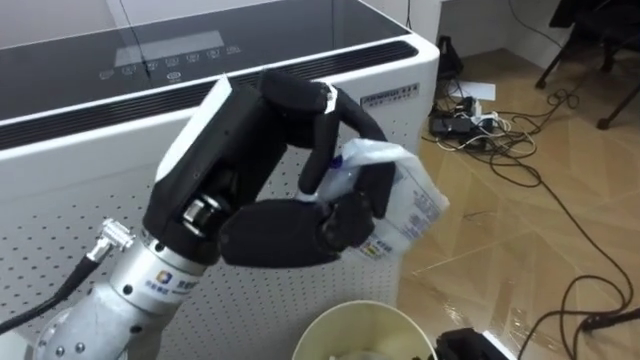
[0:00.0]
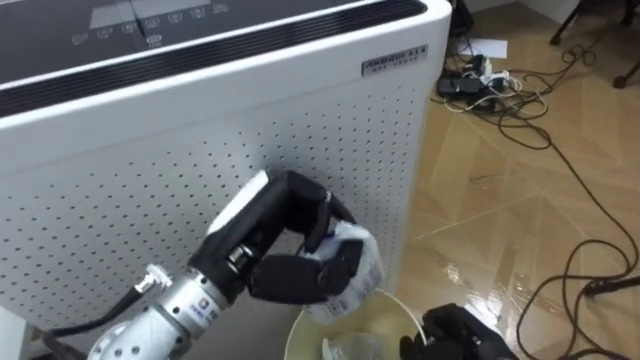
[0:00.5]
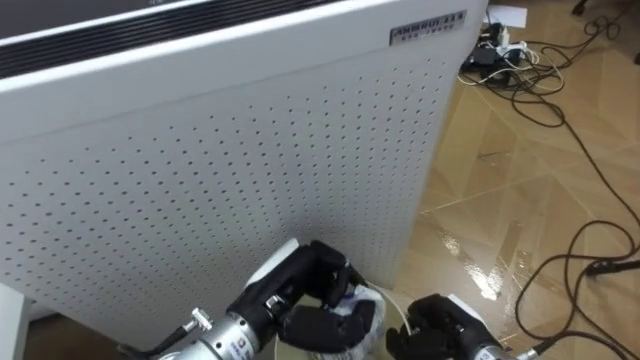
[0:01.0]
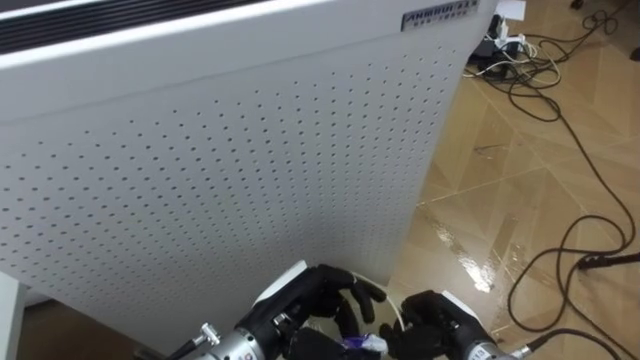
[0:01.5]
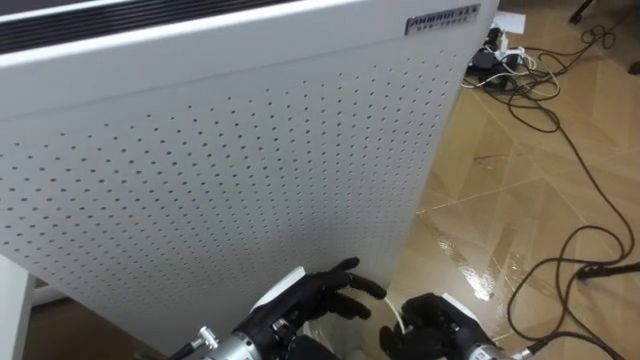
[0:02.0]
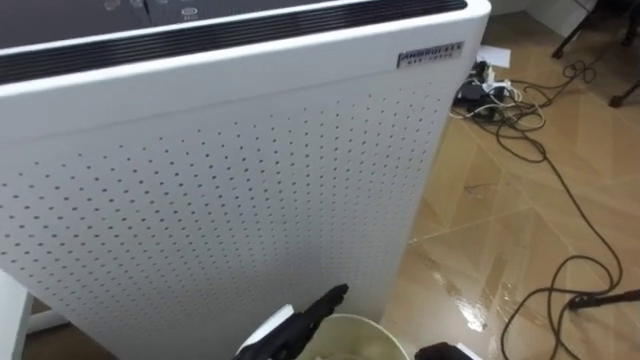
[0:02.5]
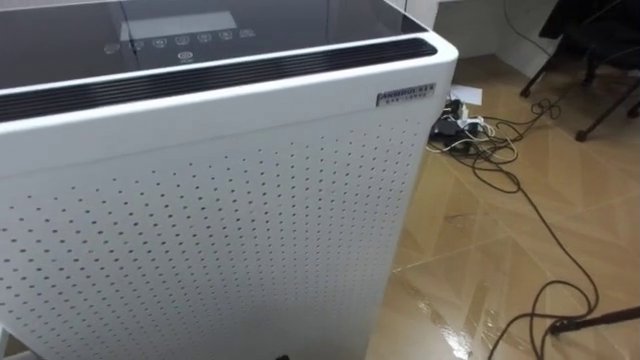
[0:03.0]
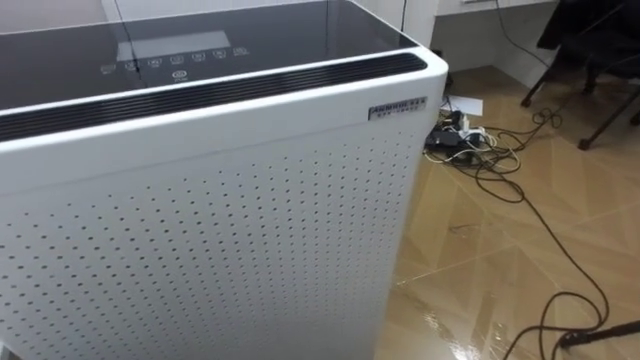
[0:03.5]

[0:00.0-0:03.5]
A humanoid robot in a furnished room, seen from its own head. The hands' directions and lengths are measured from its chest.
Task of the whole recording: Pick up the light blue package, the candy box, and the dark blue package separately, and put them into the trash can held in your right hand.
0:00.0 to 0:02.0: The left hand heads downward, covering roughly 25 cm, and opens.

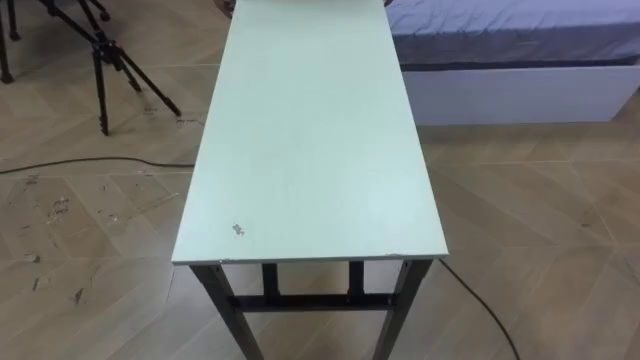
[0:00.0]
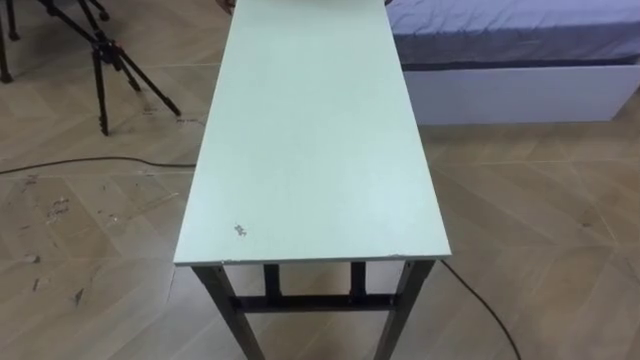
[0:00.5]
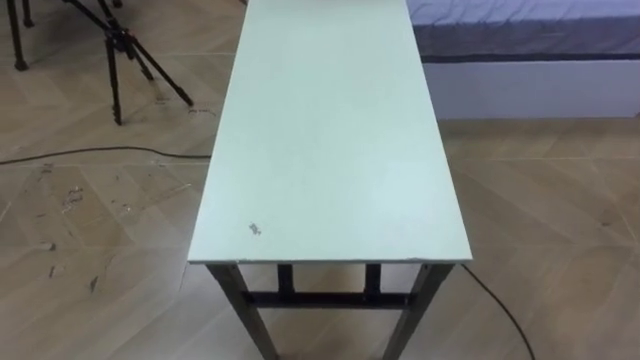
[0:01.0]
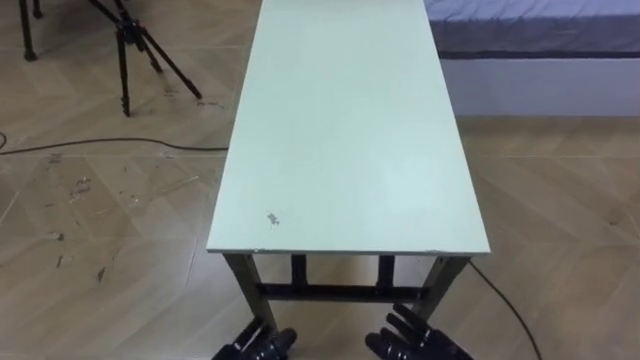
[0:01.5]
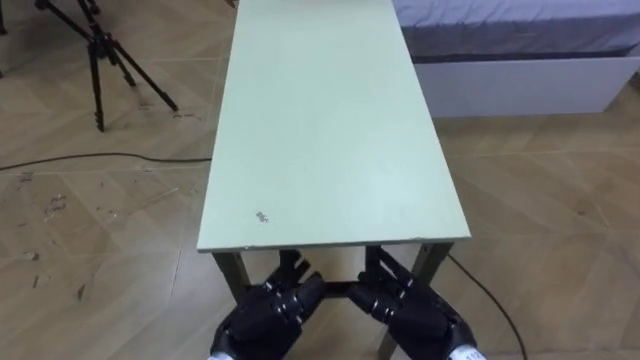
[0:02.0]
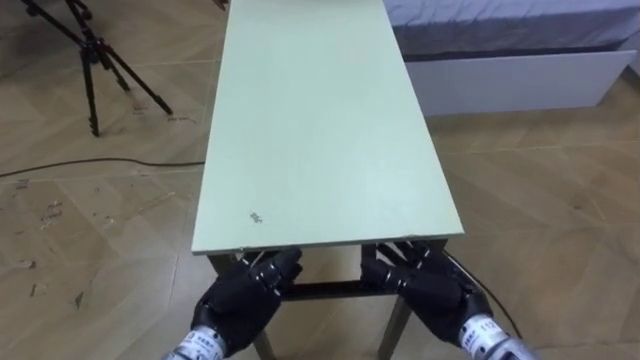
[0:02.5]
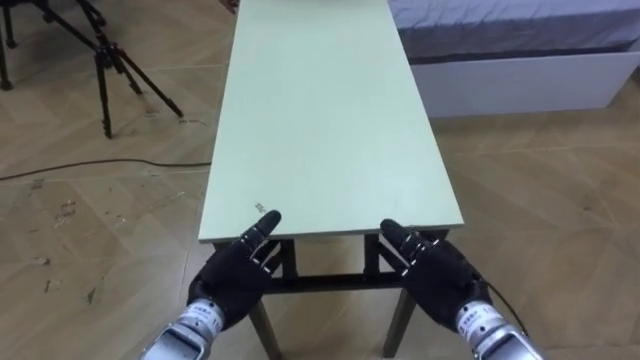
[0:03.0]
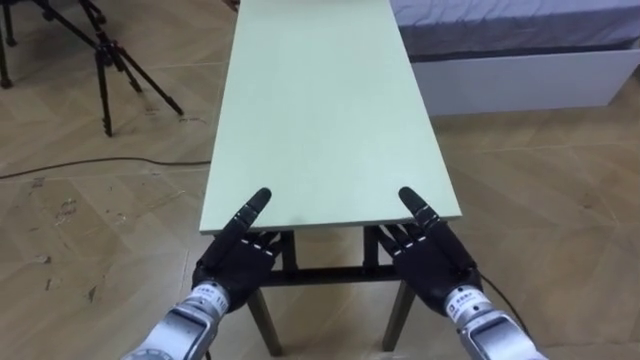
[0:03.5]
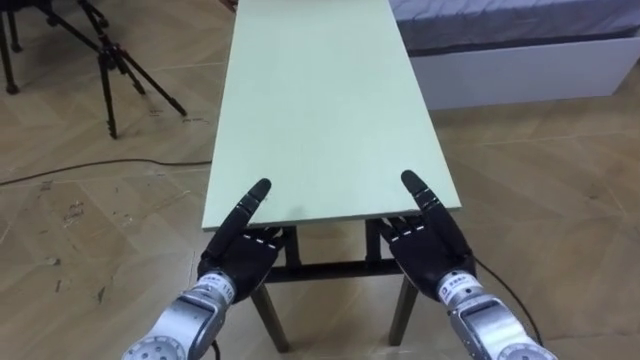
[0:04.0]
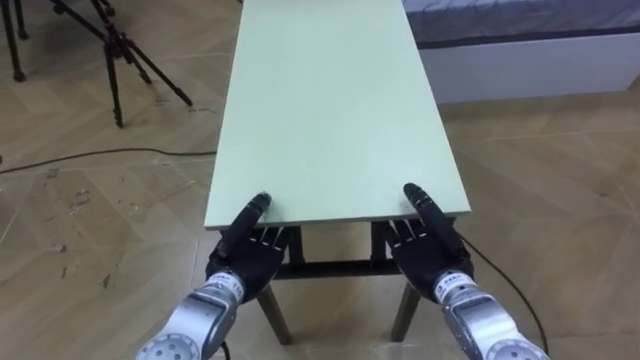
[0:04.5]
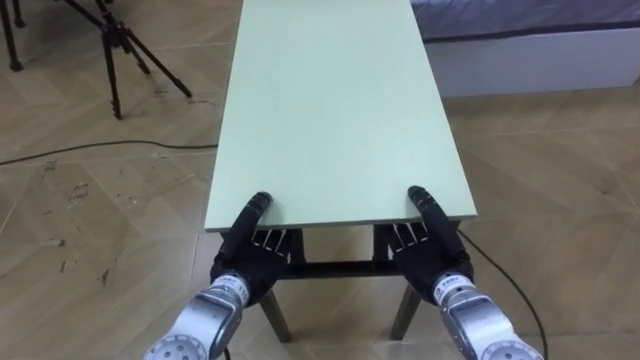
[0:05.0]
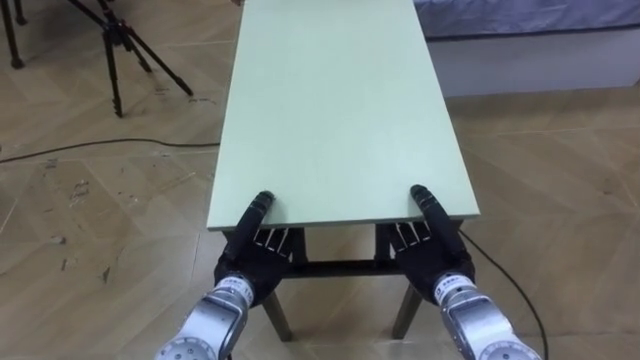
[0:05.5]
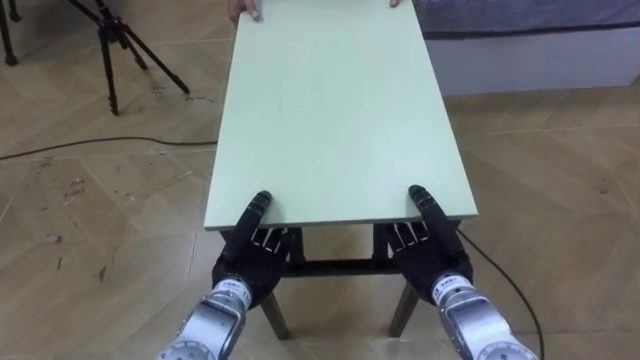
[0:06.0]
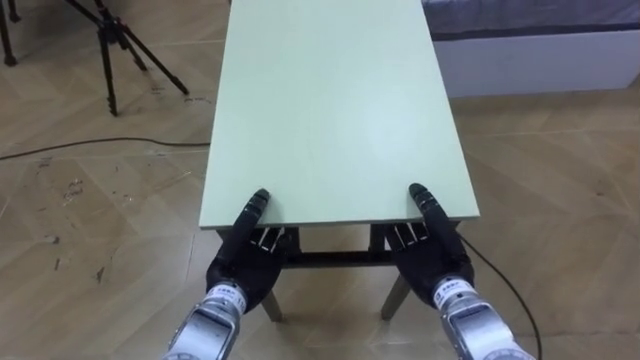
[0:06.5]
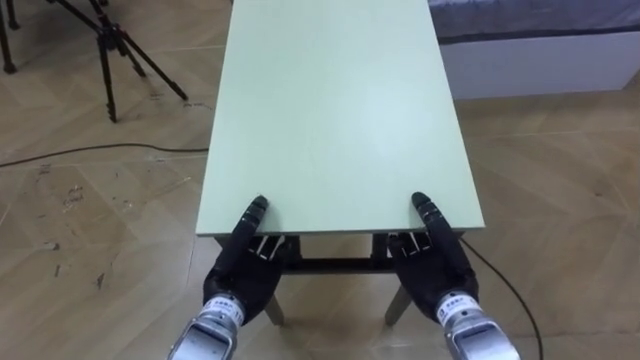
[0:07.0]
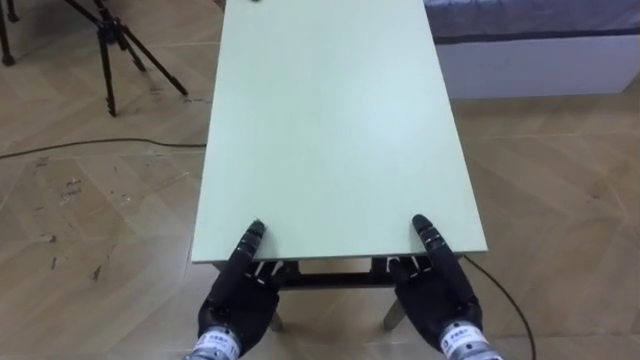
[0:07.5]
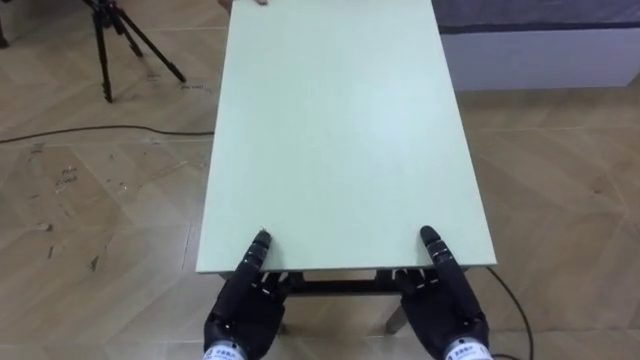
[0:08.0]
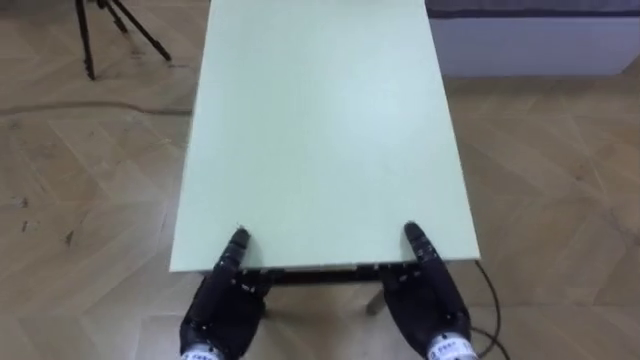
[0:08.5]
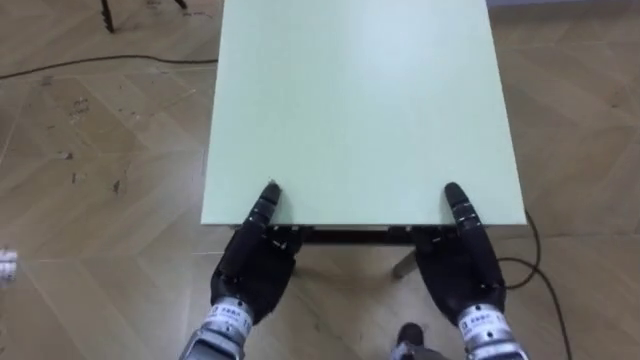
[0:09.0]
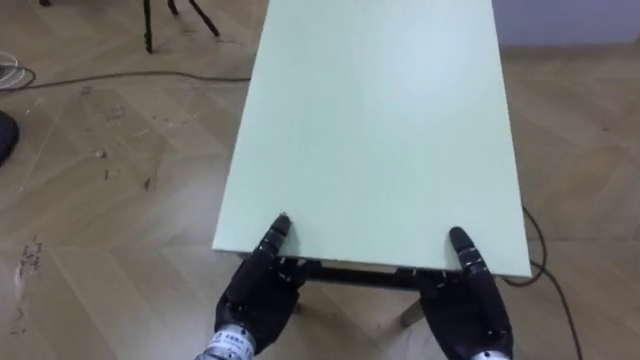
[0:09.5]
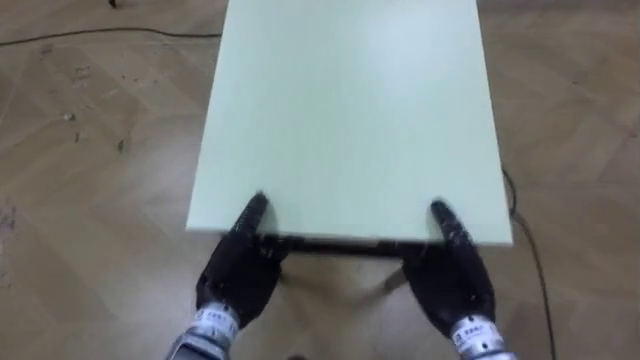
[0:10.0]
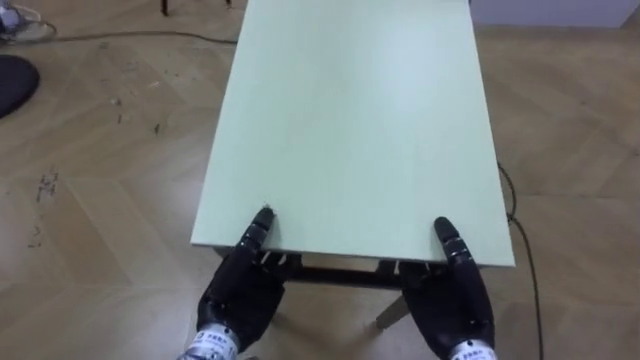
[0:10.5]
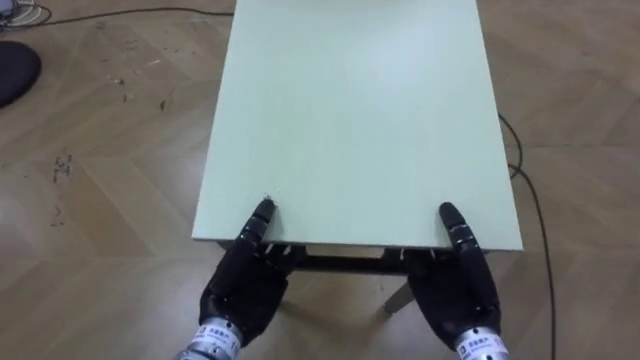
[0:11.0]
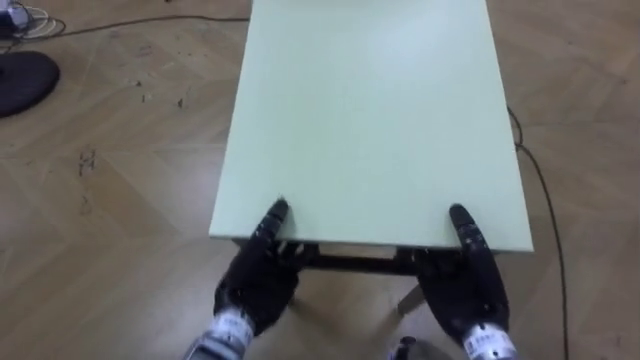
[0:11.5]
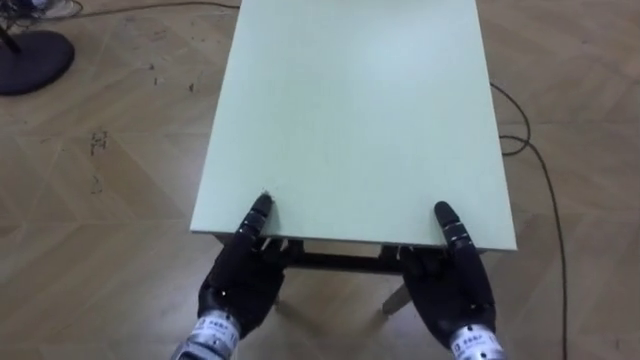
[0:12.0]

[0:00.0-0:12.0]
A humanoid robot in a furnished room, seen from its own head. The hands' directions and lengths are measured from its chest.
Task of the whole recording: Move the table to the back left with someone.
0:02.0 to 0:04.0: The hands both shift forward by approximately 10 cm.
0:04.0 to 0:06.0: The left hand closes. Meanwhile the right hand closes up.
0:06.0 to 0:08.0: The two hands go some 5 cm backward.

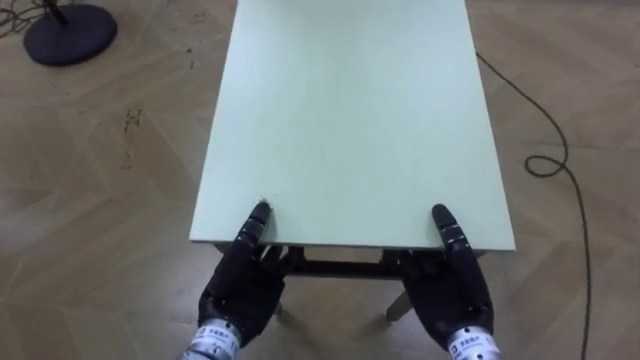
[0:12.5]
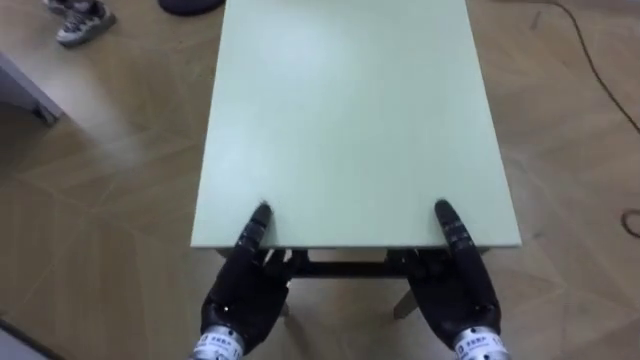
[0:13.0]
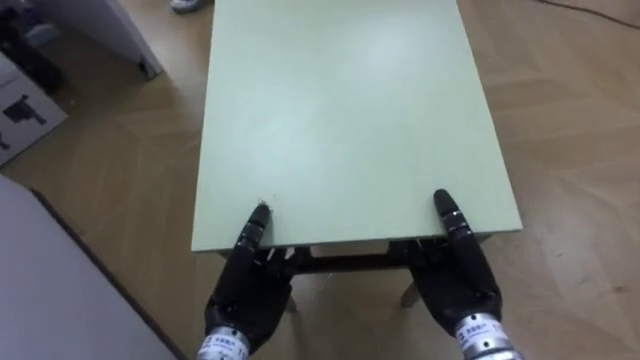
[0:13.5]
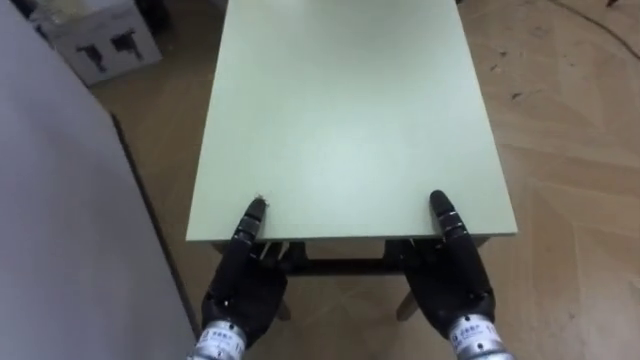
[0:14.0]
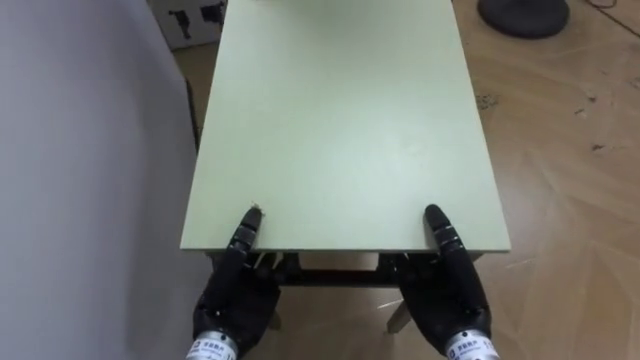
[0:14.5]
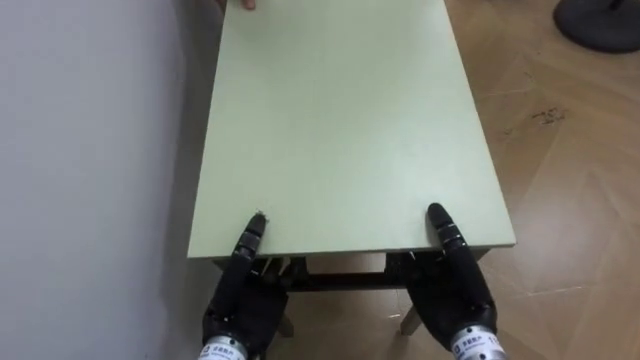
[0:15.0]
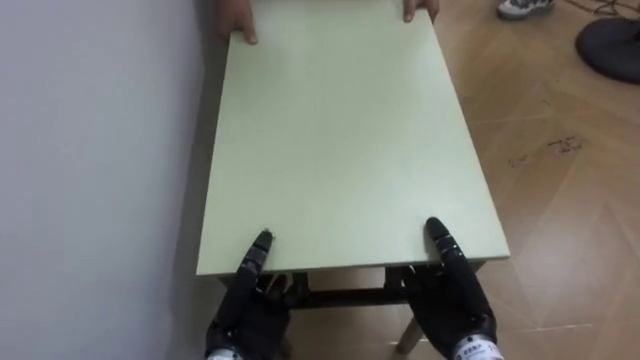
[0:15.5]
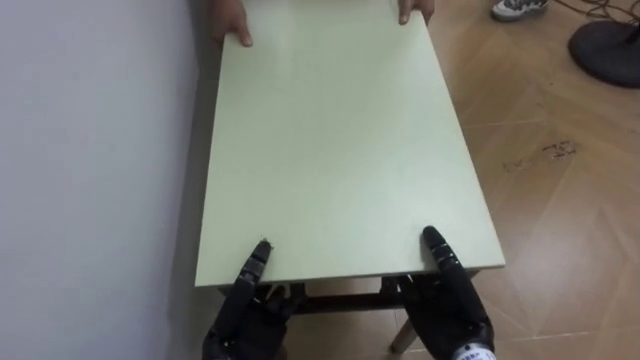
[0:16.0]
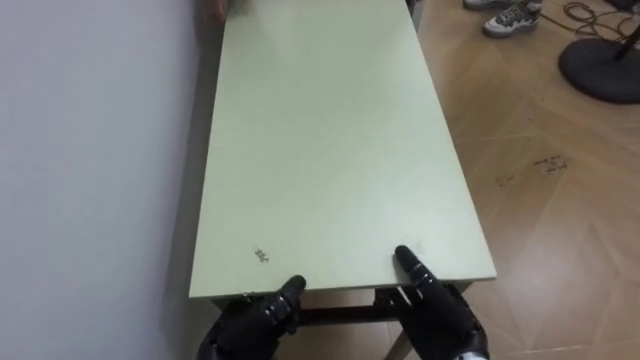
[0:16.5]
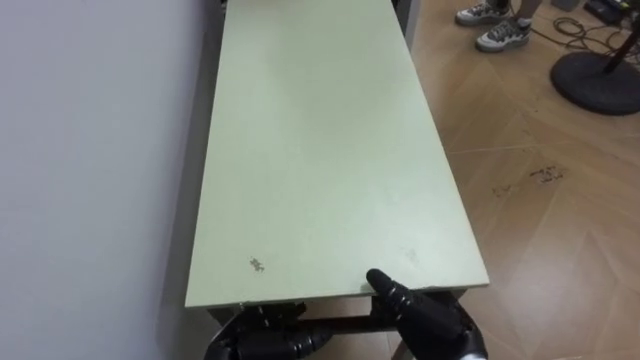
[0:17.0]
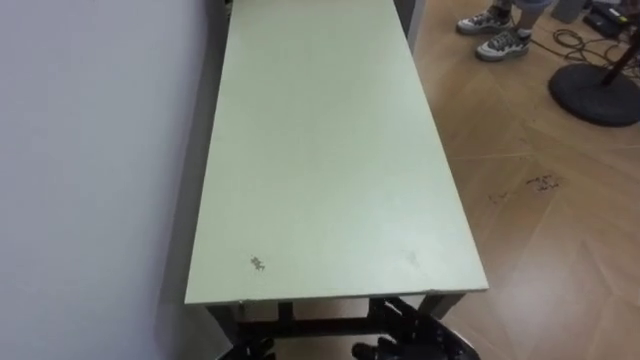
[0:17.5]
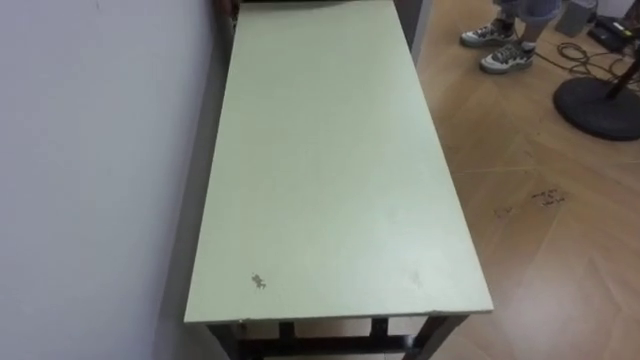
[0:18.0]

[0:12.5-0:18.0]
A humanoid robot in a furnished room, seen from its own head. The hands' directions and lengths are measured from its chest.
Task of the whole recording: Move the table to the back left with someone.
0:12.5 to 0:14.5: The robot turns to its left by some 70 degrees.
0:14.5 to 0:16.0: The left hand moves roughly 5 cm.
